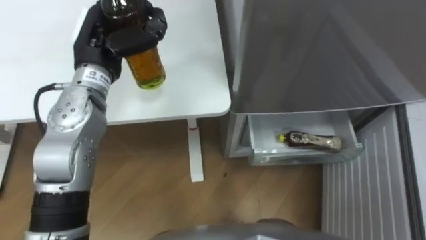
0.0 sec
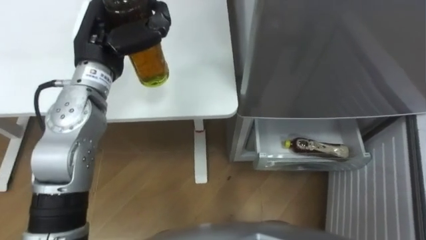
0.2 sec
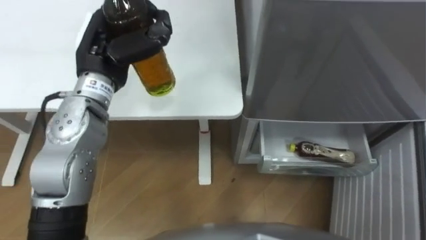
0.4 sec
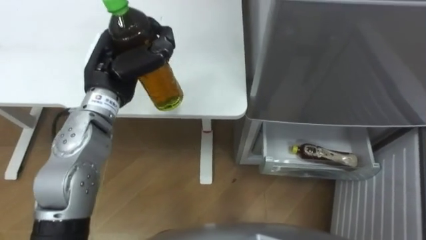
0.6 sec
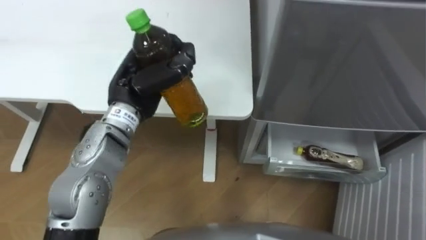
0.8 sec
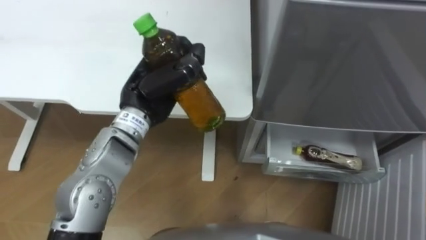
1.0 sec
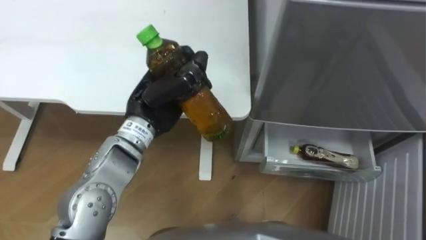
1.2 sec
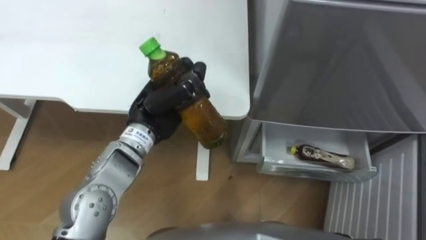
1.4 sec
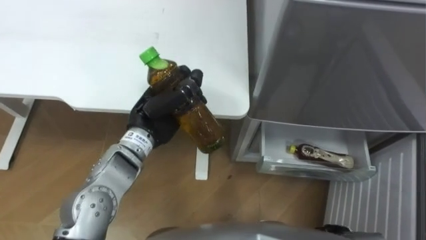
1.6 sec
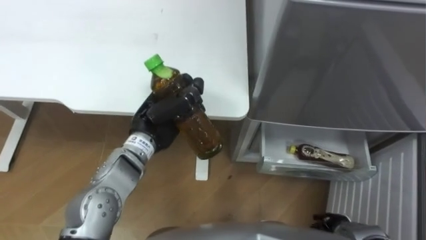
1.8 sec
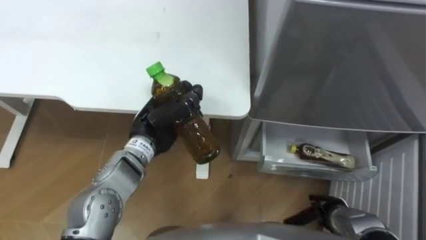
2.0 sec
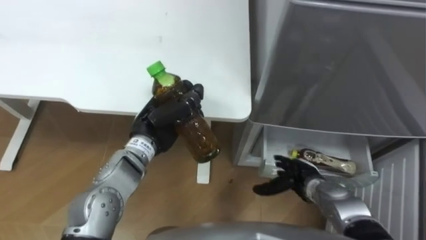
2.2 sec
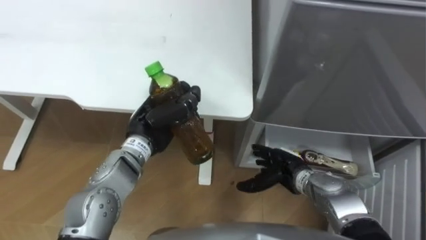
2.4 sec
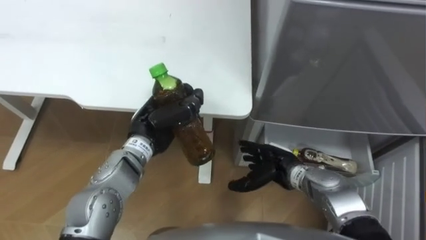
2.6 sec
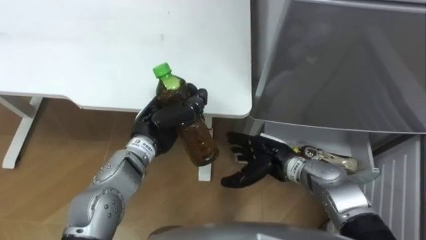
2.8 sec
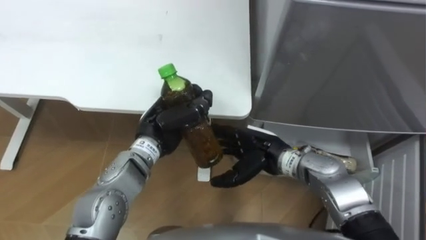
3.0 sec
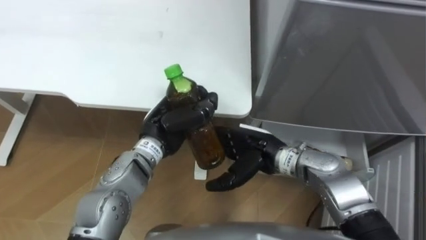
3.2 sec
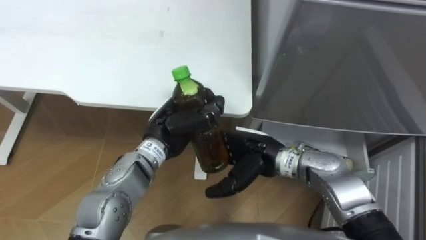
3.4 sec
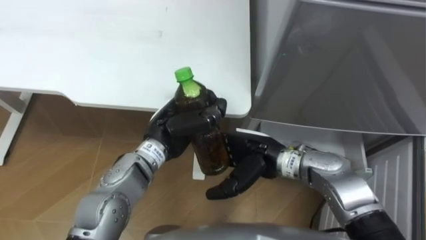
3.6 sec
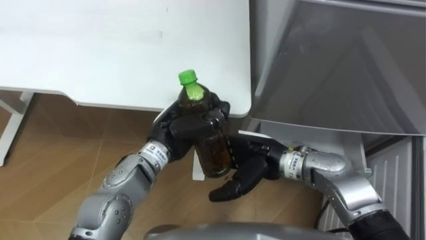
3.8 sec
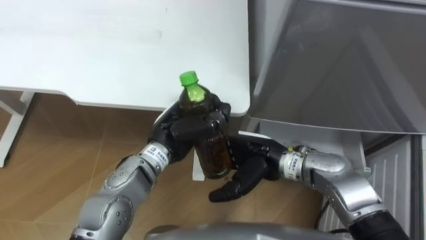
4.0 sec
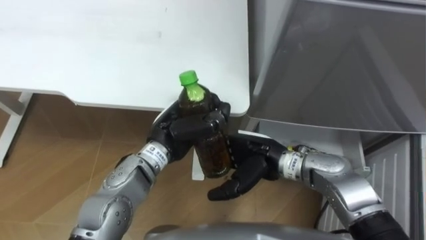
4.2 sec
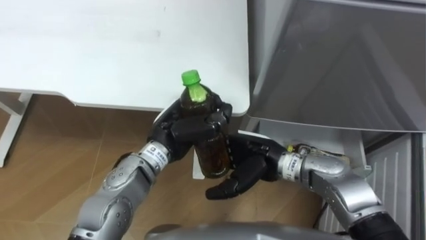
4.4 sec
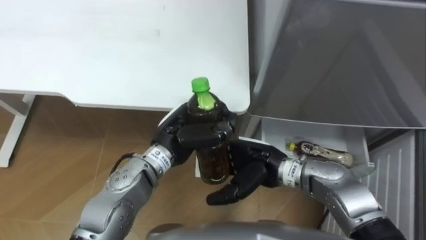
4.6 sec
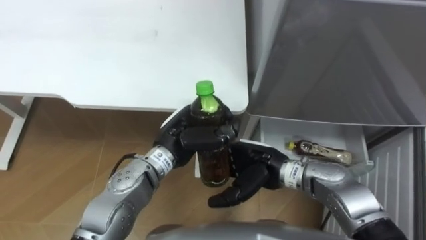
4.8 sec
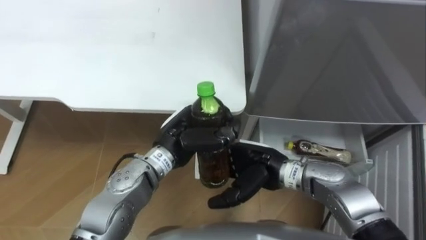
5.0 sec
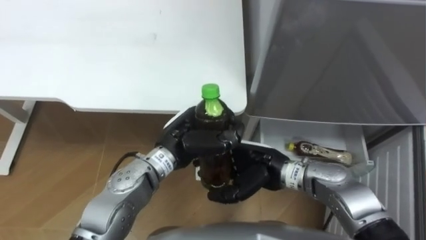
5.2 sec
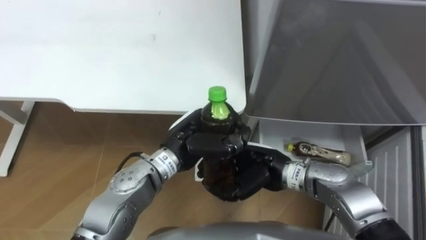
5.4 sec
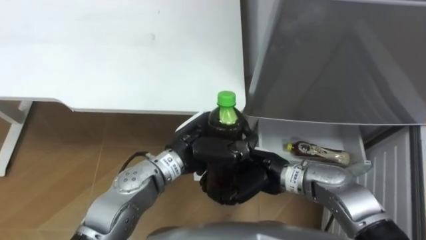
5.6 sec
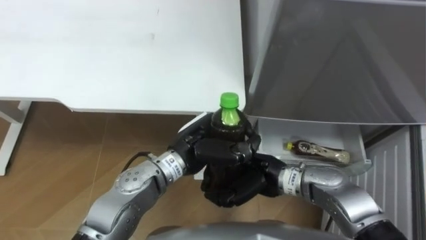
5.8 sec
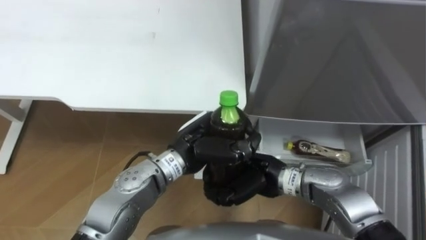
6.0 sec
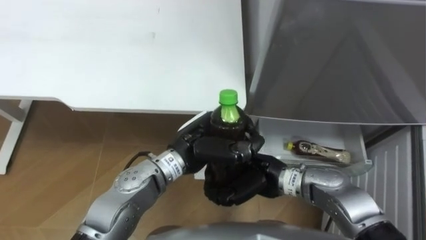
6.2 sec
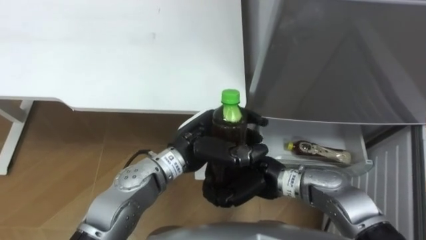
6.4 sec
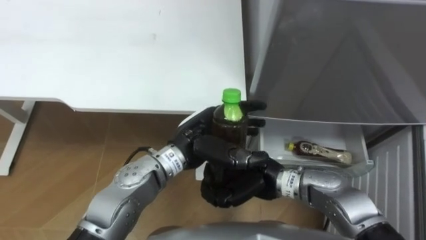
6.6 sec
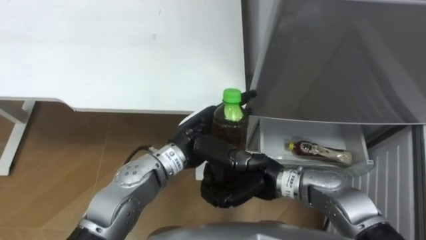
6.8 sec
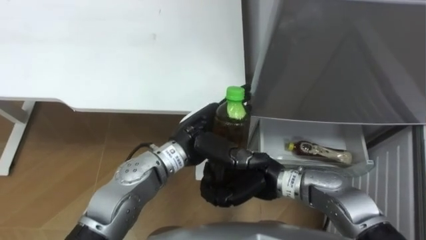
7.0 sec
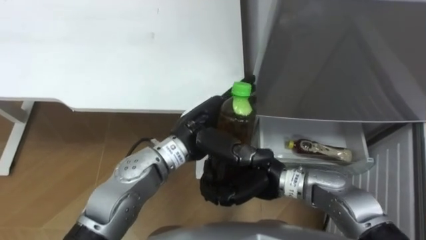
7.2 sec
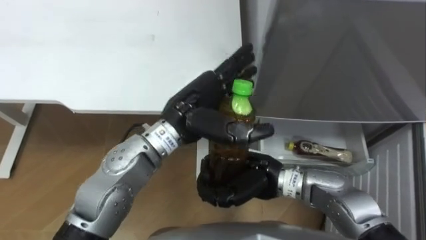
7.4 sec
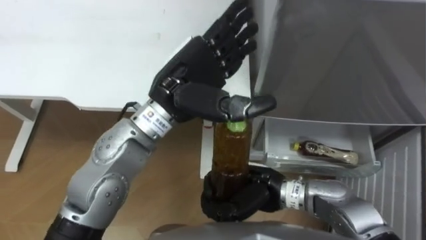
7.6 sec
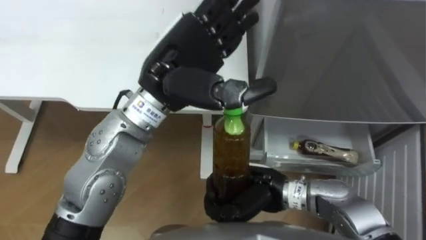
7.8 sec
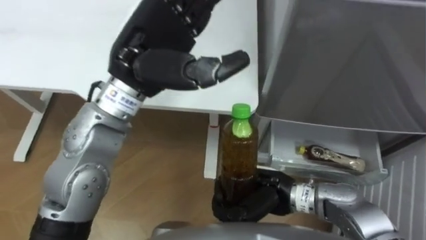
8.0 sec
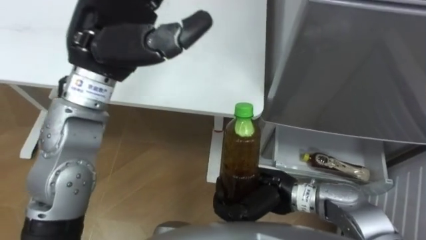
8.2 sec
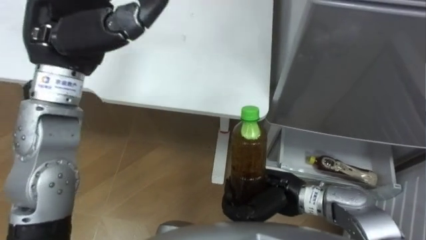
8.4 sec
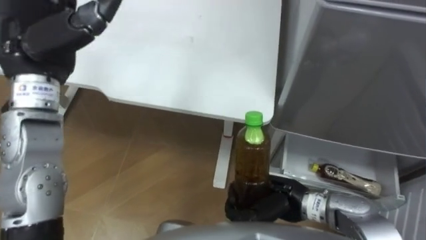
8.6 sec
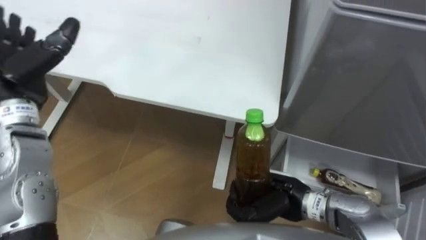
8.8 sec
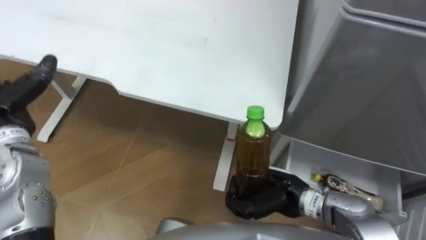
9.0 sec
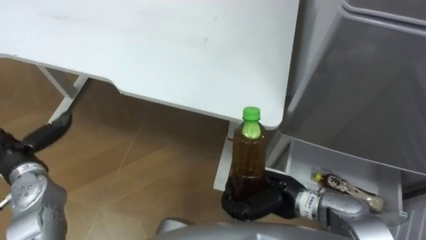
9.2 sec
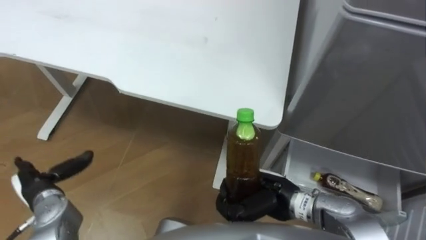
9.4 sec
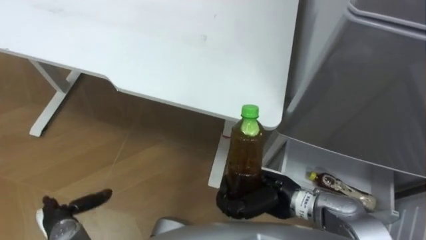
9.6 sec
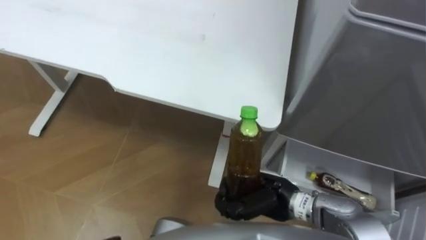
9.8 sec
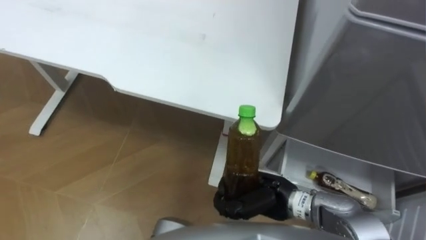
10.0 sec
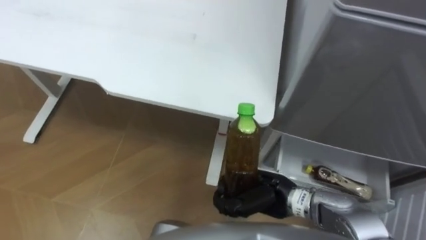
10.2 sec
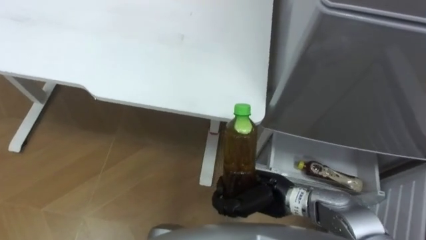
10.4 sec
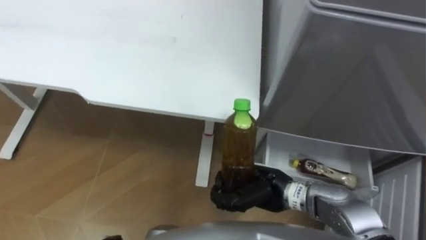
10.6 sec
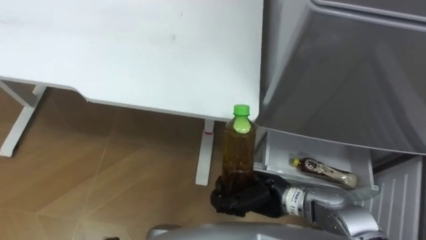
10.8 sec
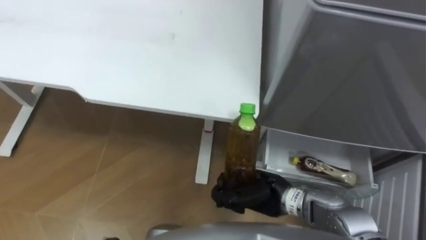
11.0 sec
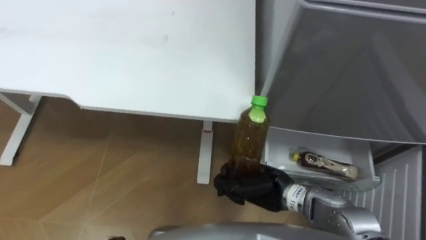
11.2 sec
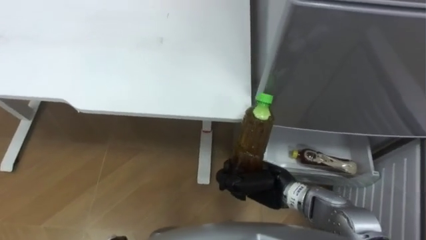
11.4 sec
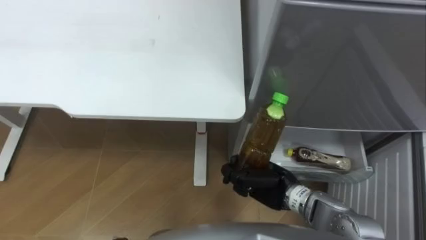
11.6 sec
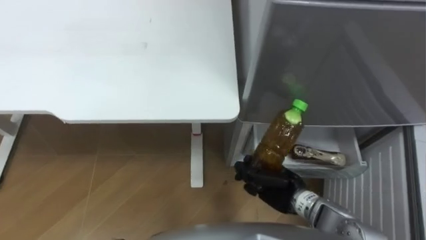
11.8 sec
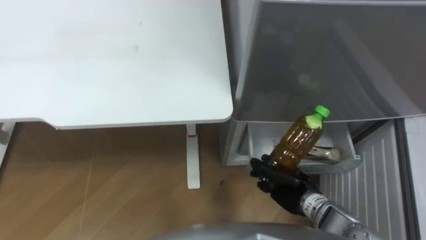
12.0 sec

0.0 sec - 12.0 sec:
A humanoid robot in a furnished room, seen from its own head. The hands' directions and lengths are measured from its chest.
Task of the whole recording: Place the drink on the table on the bottom shelf of the refrigerator, then close the drawer and the refrigerator door.
0.0 sec - 1.6 sec: The left hand is displaced downward, to the right and backward by some 15 cm.
1.6 sec - 3.0 sec: The right hand travels forward, to the left and upward by about 30 cm.
3.0 sec - 4.4 sec: The hands stay close to where they were, moving slightly.
4.4 sec - 6.0 sec: The right hand closes.
6.0 sec - 7.6 sec: The left hand travels upward by some 15 cm, and opens up.
7.6 sec - 9.0 sec: The right hand travels to the right by some 5 cm.
10.4 sec - 12.0 sec: The right hand moves to the right, about 5 cm.

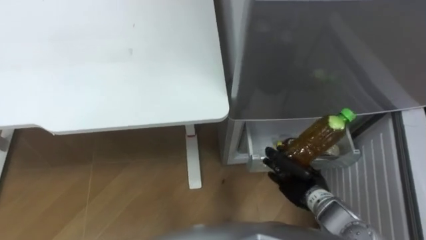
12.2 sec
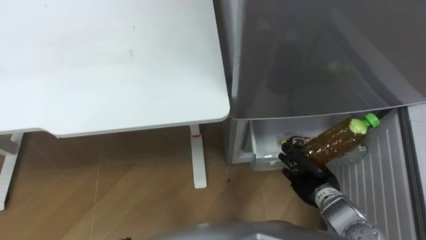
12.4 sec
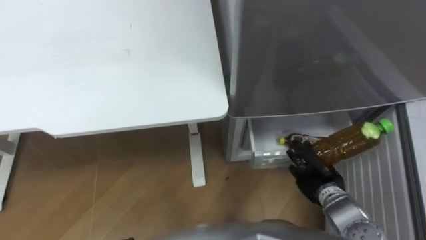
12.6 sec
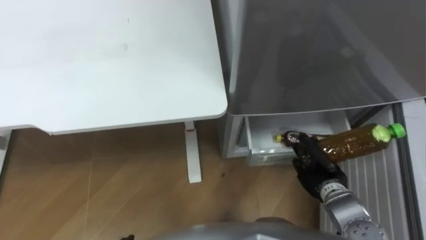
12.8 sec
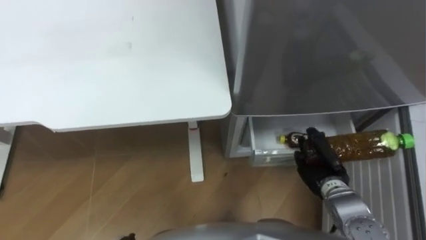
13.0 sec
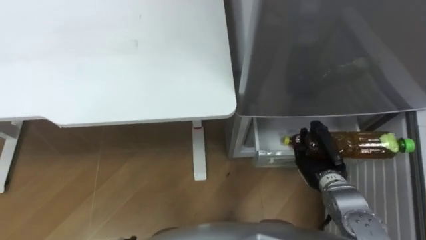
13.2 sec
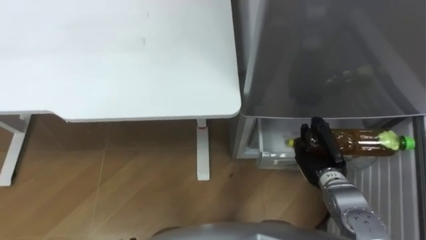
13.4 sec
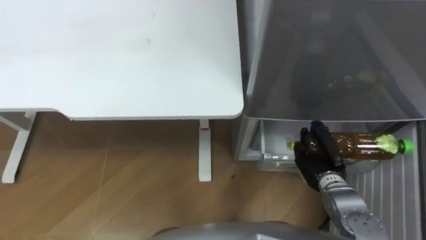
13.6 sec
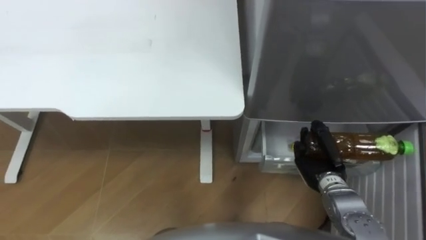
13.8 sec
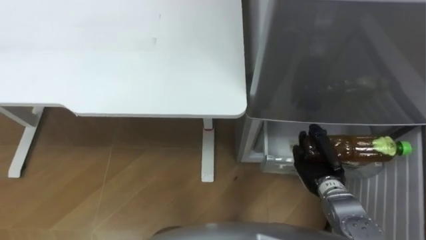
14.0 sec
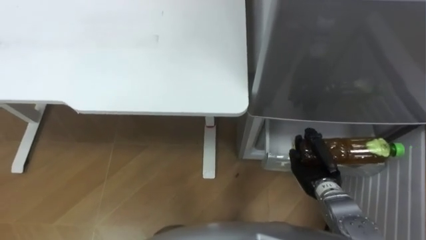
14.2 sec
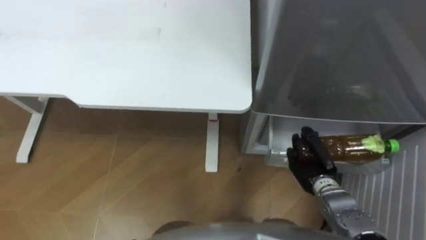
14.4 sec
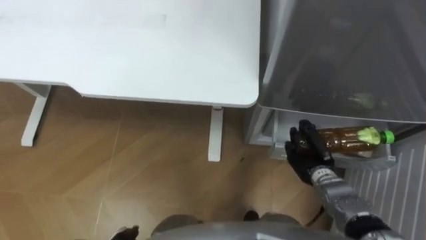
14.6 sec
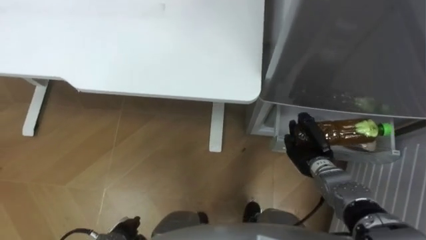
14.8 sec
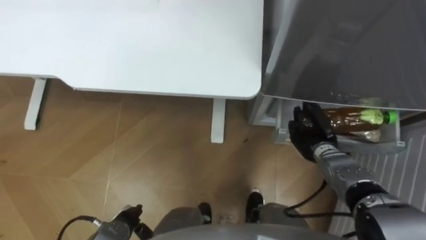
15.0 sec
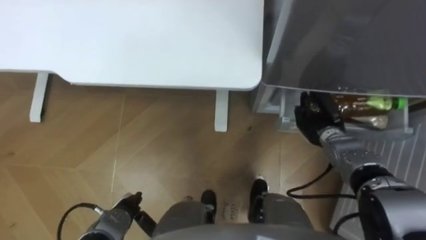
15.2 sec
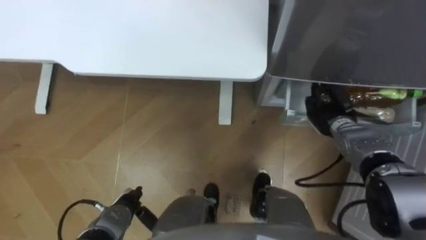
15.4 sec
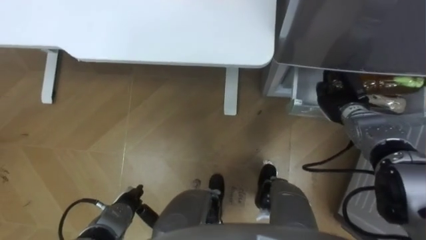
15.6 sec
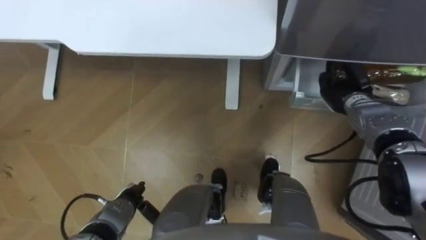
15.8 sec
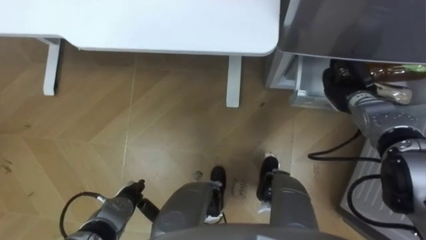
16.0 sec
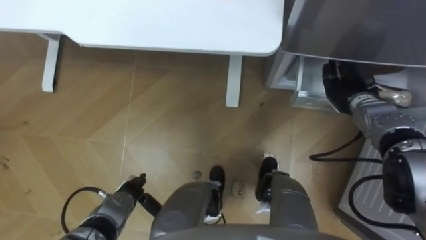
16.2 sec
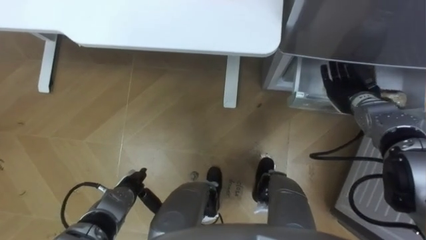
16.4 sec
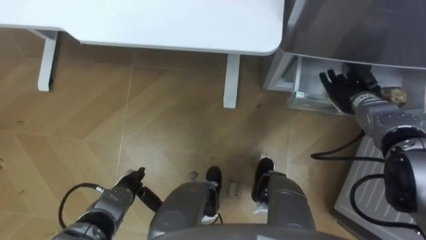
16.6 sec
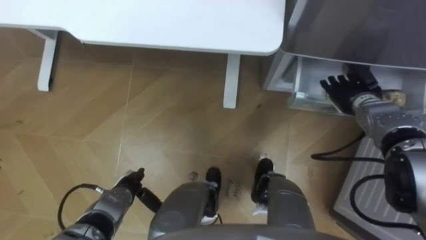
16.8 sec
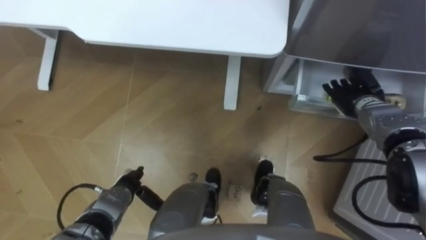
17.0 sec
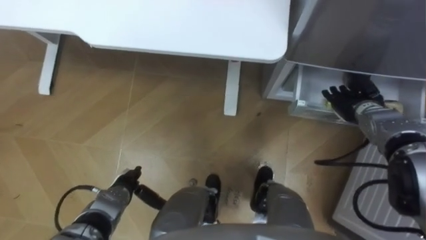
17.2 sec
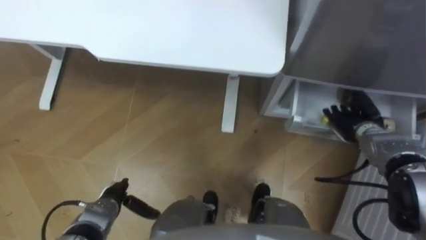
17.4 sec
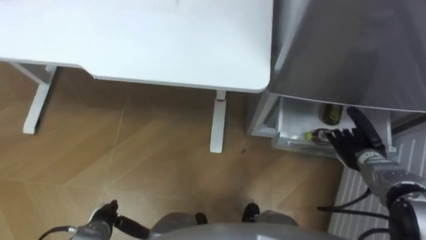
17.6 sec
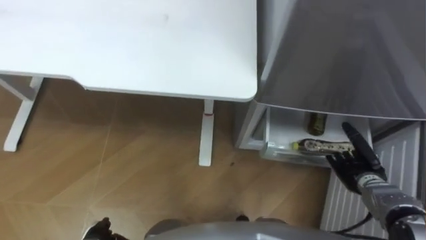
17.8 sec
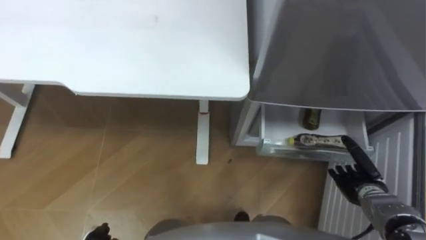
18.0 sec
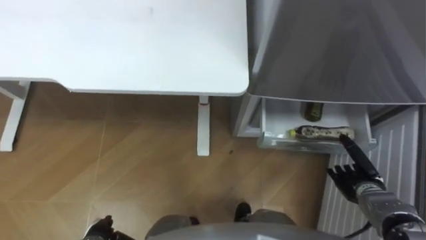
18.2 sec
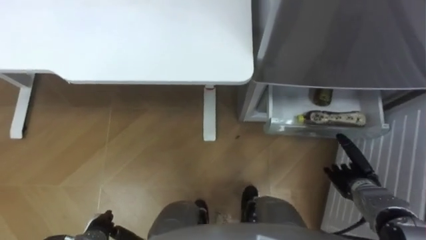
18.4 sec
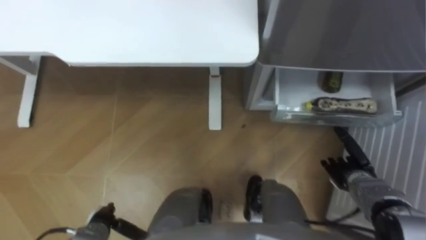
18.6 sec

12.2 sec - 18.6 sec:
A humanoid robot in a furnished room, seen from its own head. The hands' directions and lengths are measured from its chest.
Task of the whole recording: Place the drink on the table on the bottom shelf of the refrigerator, then close the drawer and the refrigerator door.
12.2 sec - 13.8 sec: The right hand shifts by about 5 cm.
13.8 sec - 15.4 sec: The right hand heads forward, covering roughly 10 cm.
15.4 sec - 17.0 sec: The right hand shifts by some 5 cm, and opens up.
17.0 sec - 18.6 sec: The right hand goes approximately 20 cm backward and downward.
